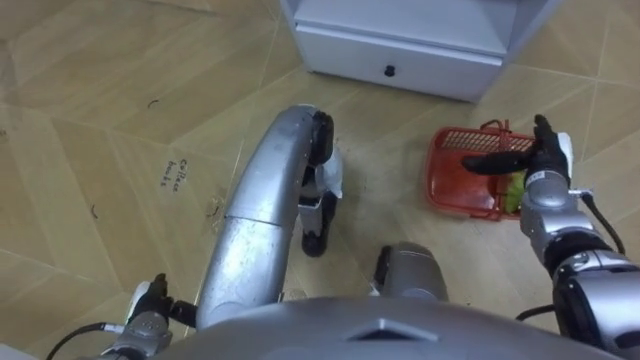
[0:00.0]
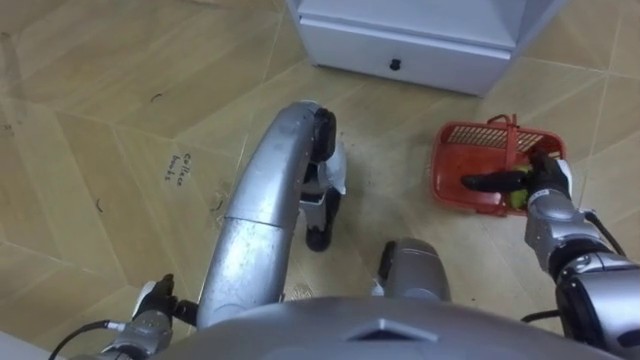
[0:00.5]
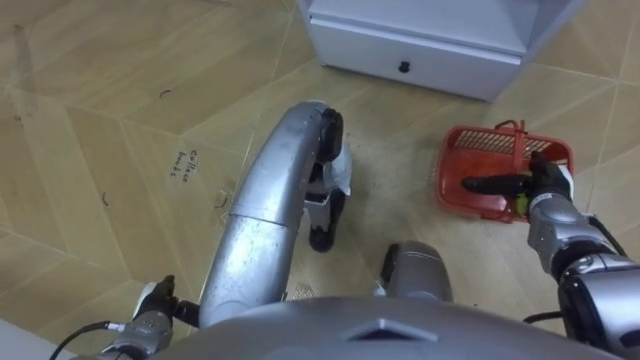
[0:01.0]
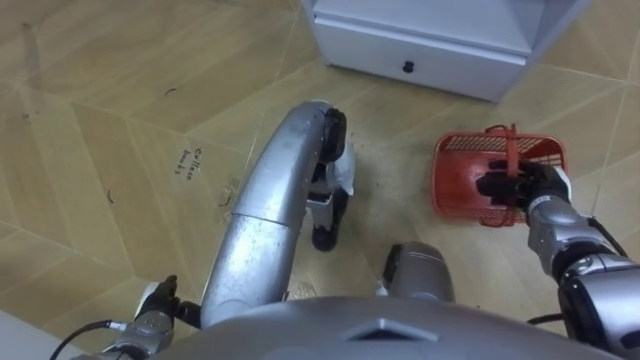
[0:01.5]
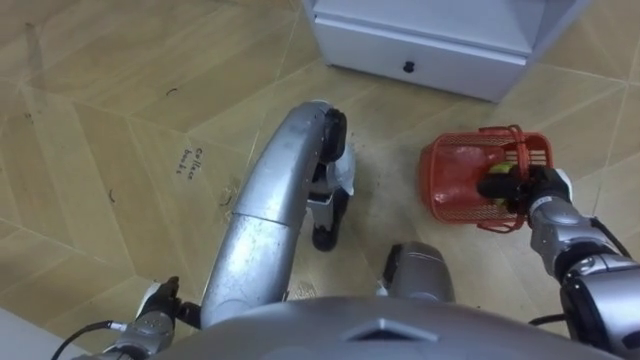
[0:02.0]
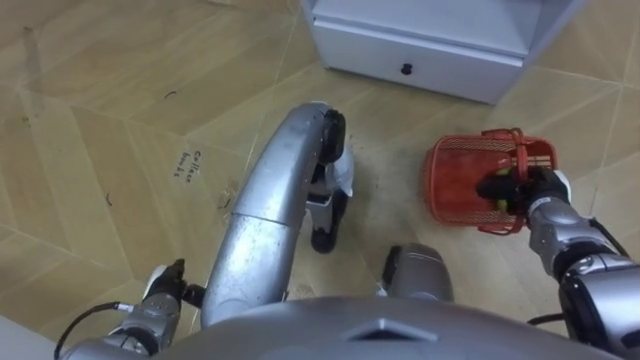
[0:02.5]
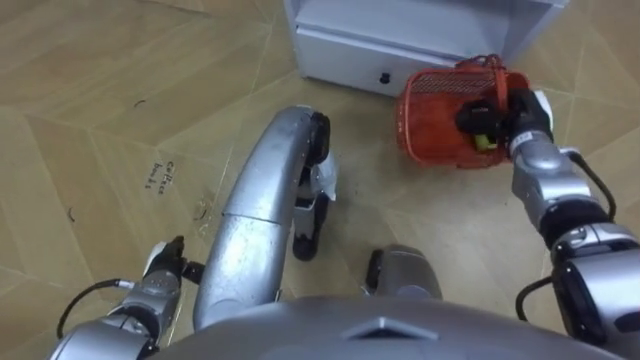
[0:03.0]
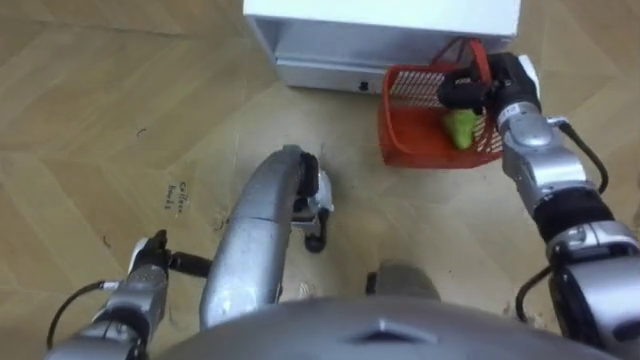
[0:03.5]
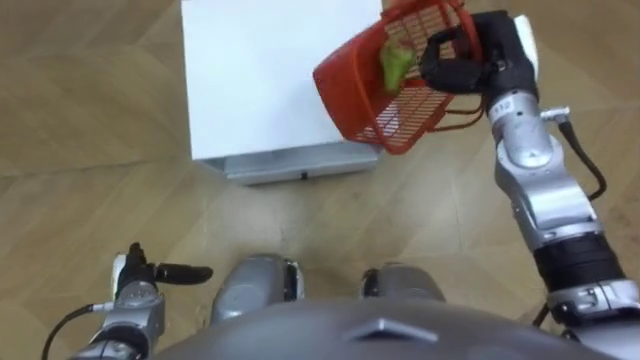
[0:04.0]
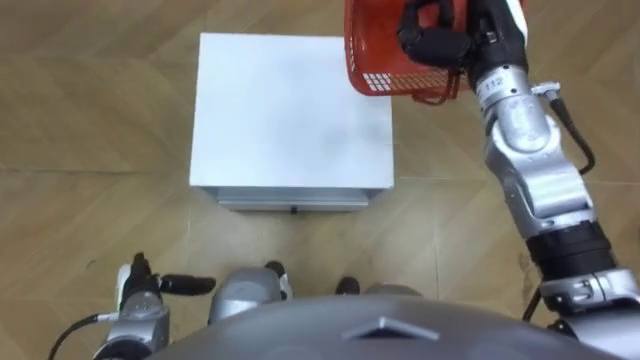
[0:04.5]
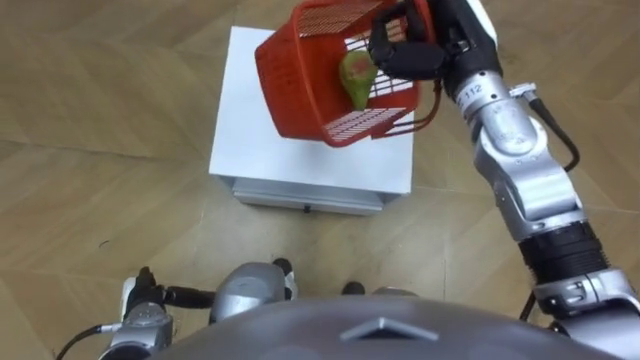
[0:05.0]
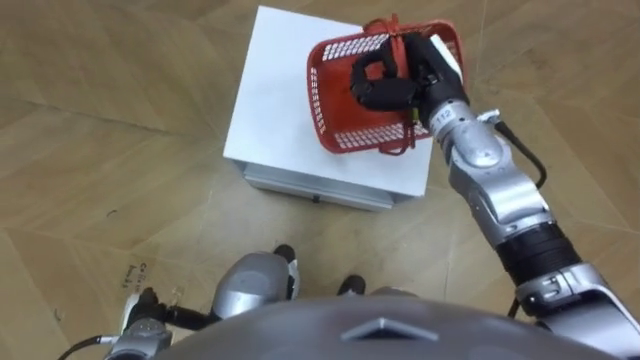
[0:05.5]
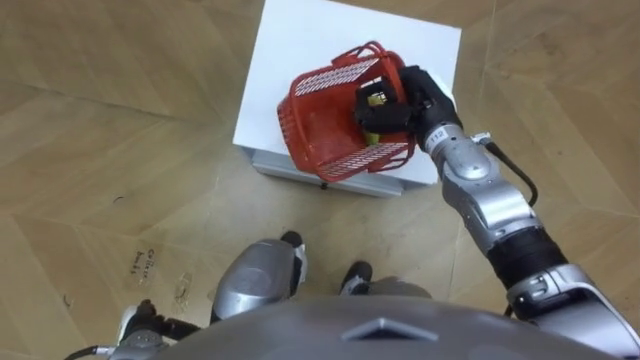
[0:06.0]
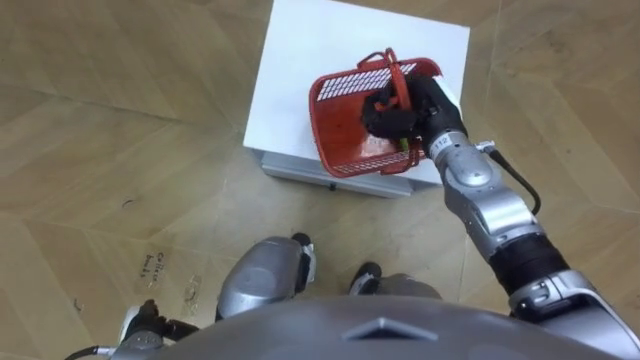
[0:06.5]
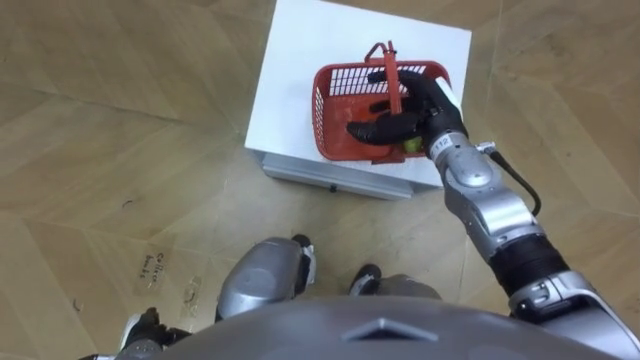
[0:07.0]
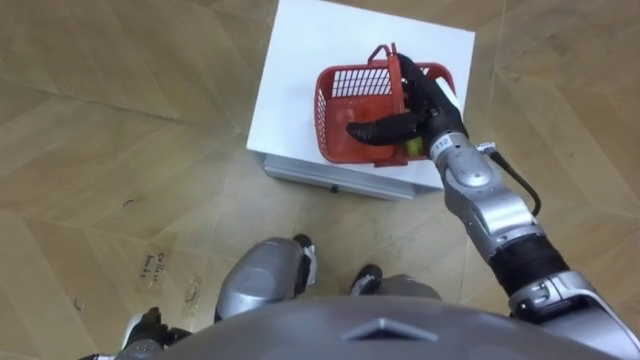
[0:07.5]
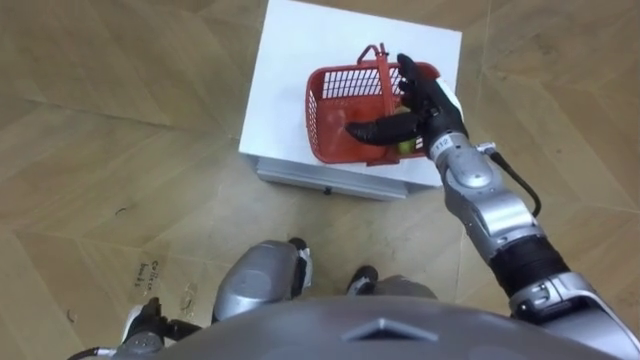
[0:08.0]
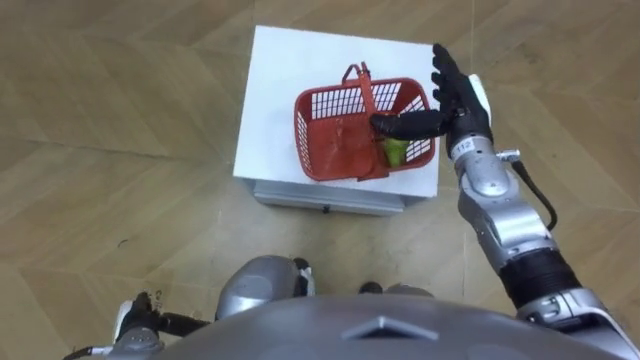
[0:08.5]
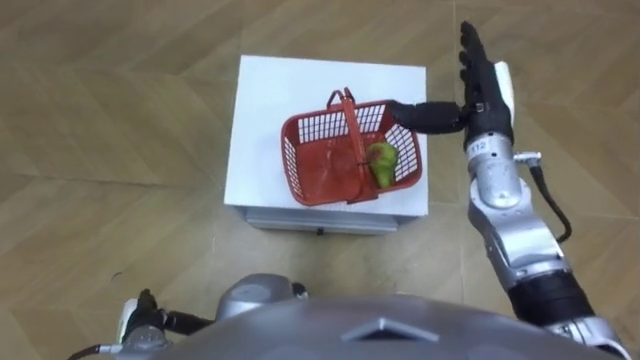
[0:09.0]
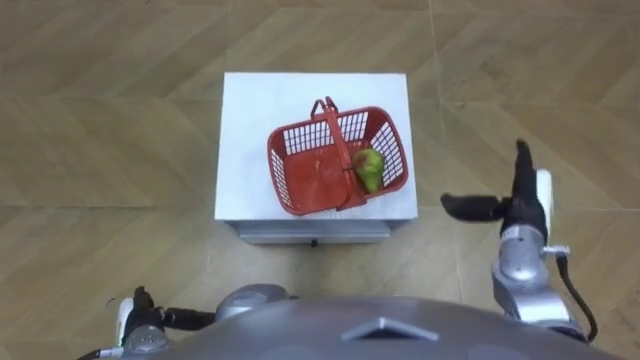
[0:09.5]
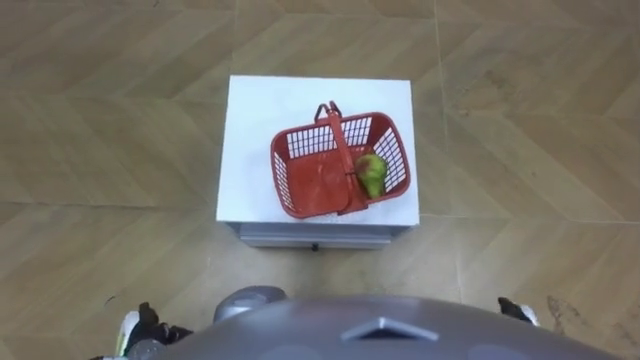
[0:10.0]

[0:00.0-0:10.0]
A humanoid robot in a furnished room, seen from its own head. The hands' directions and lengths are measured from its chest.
Task of the whole recording: Pick up the fruit basket from the floor and place it on the cabinet.
0:00.0 to 0:02.0: The right hand moves approximately 5 cm, and closes its fingers.
0:02.0 to 0:04.0: The robot's body swings roughly 20 degrees to its right. The right hand moves upward, forward and to the left, roughly 25 cm; the left hand moves about 5 cm.
0:04.0 to 0:06.0: The left hand travels backward by approximately 10 cm; the right hand heads to the left and downward, covering some 10 cm.
0:06.0 to 0:08.0: The right hand opens.
0:08.0 to 0:10.0: The right hand travels backward, downward and to the right by about 35 cm.

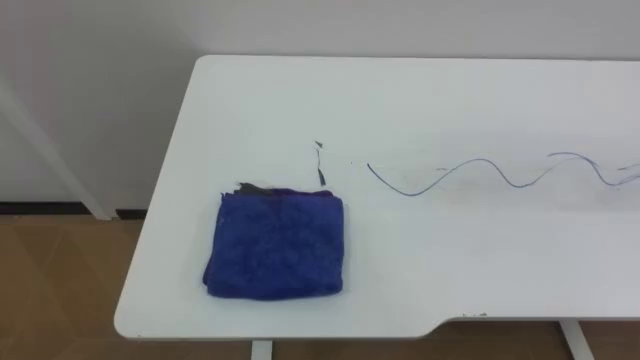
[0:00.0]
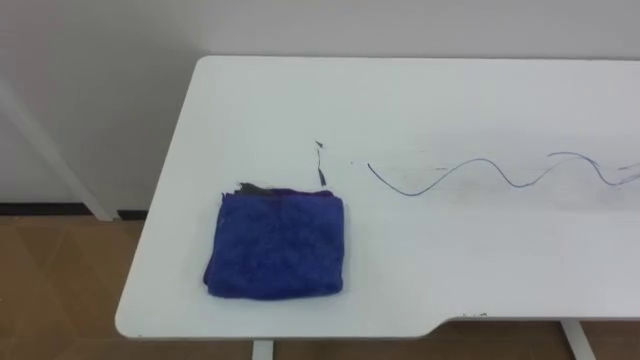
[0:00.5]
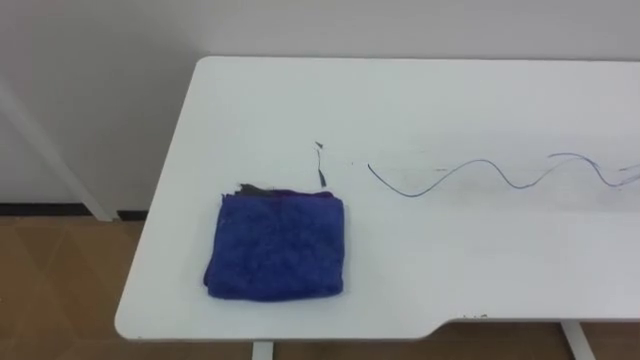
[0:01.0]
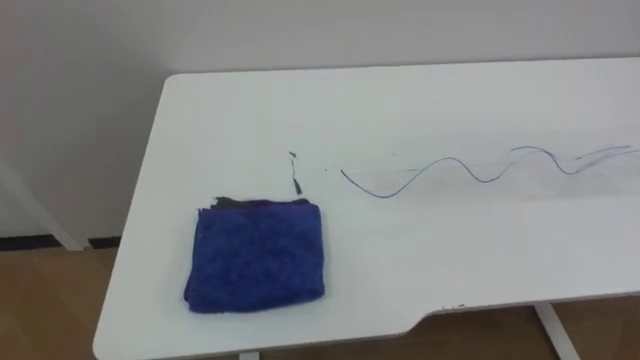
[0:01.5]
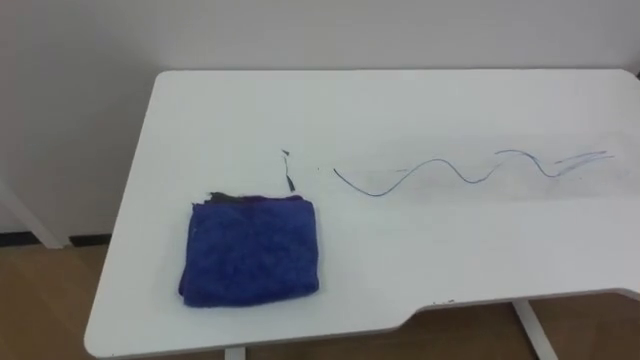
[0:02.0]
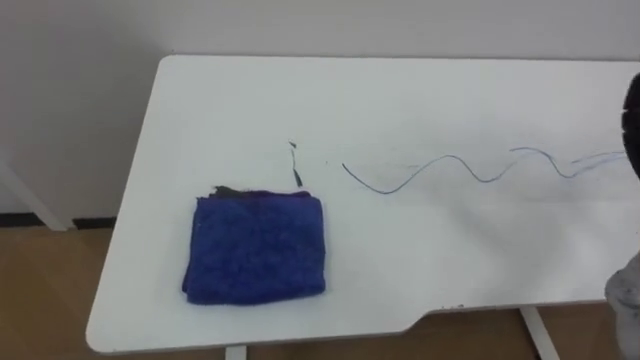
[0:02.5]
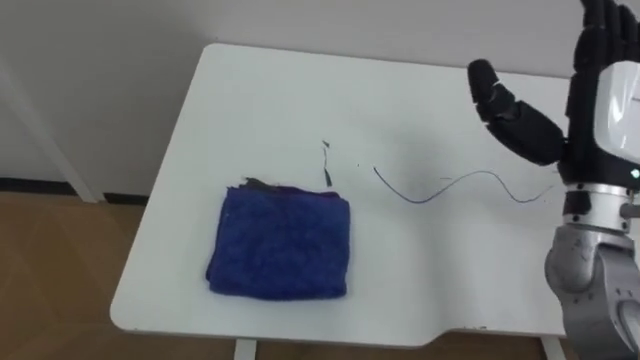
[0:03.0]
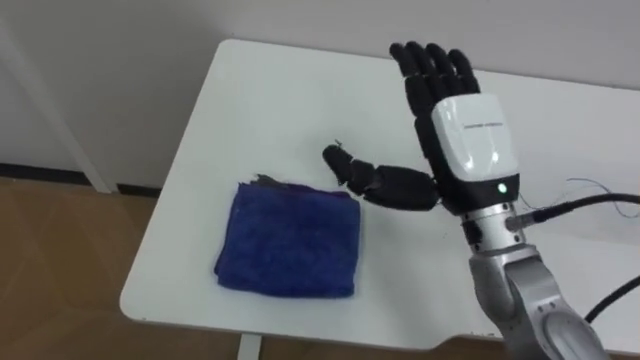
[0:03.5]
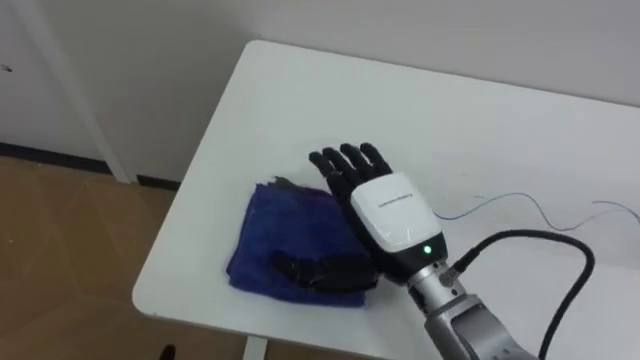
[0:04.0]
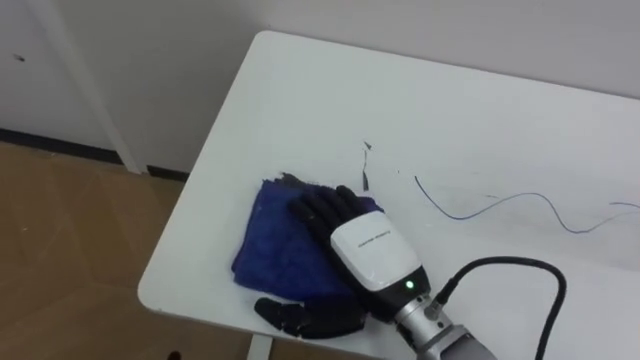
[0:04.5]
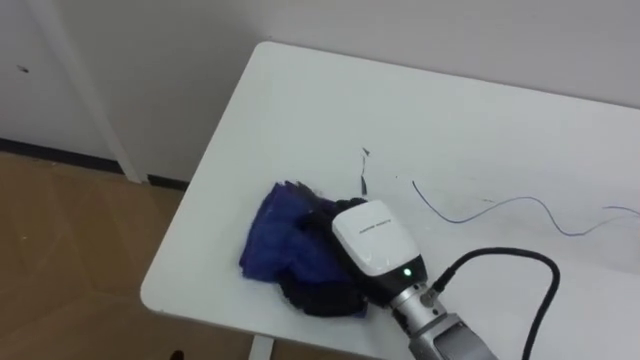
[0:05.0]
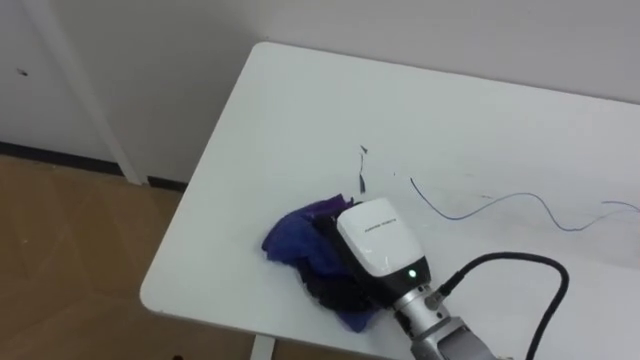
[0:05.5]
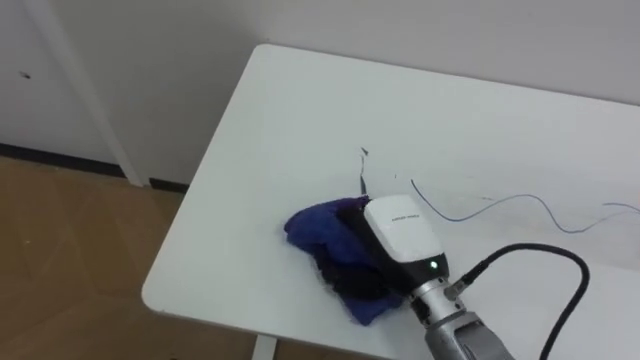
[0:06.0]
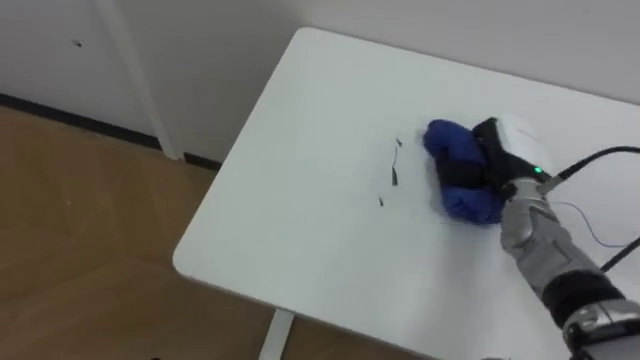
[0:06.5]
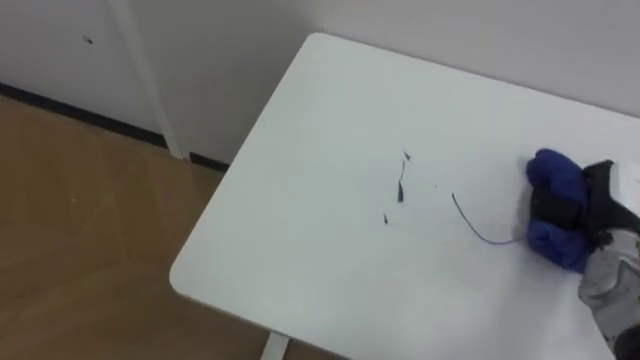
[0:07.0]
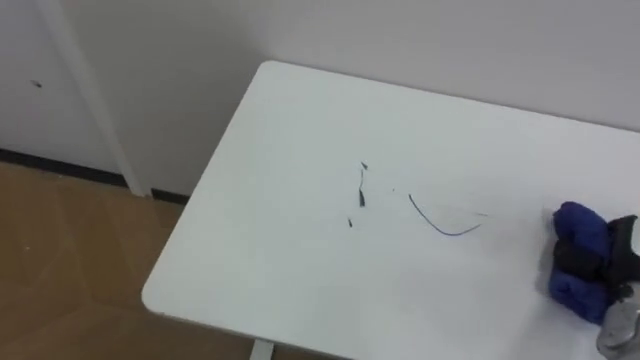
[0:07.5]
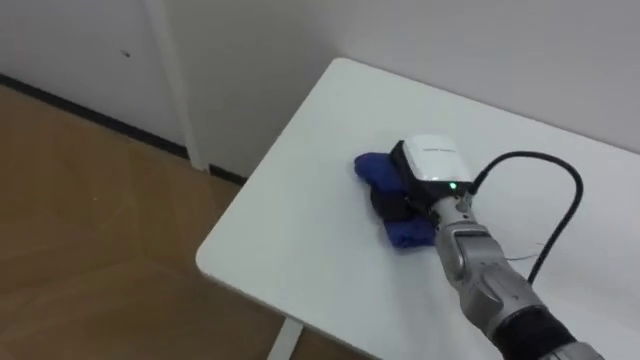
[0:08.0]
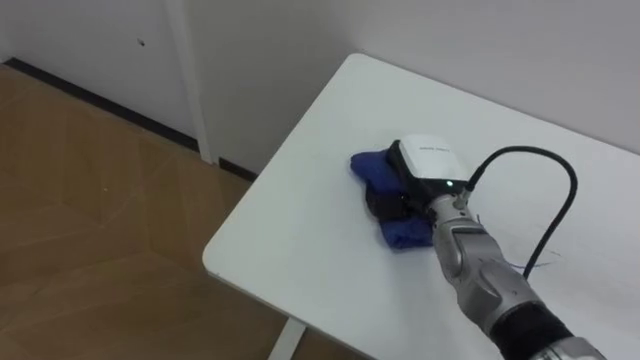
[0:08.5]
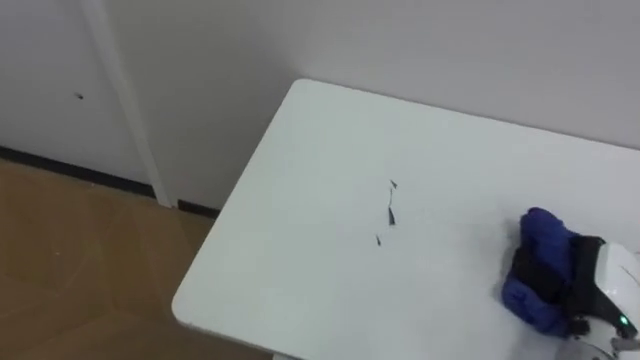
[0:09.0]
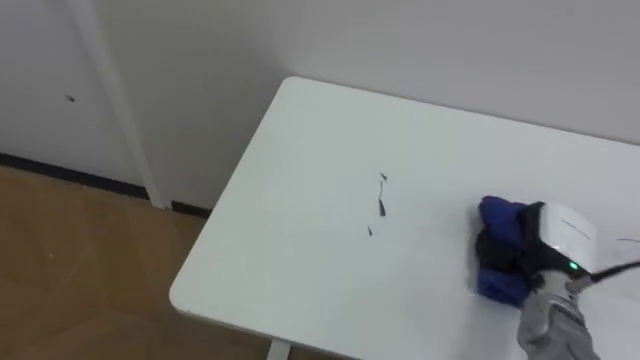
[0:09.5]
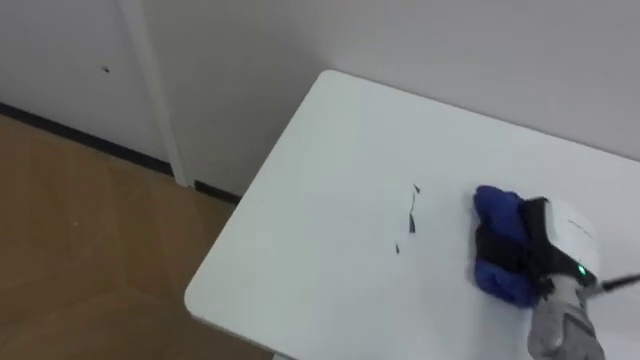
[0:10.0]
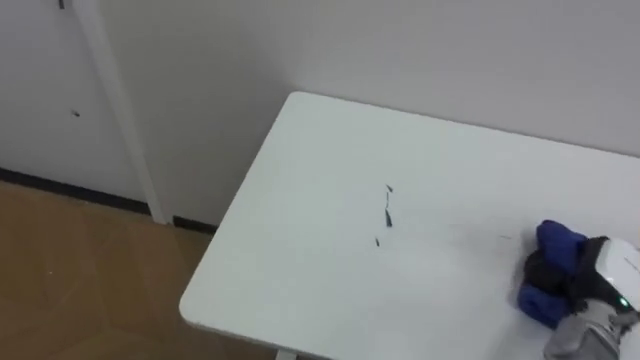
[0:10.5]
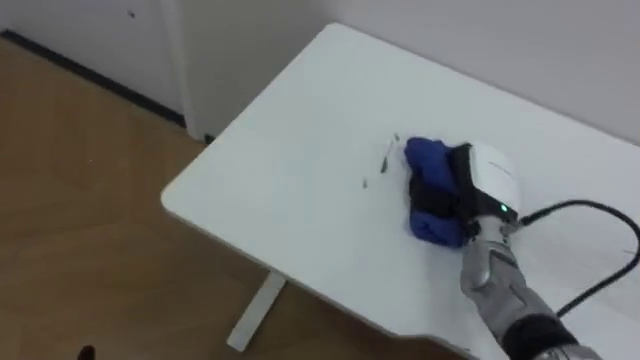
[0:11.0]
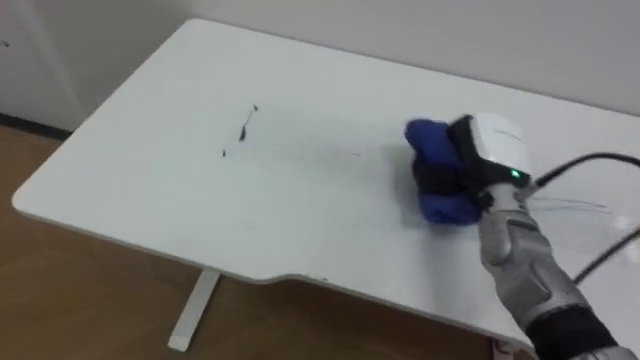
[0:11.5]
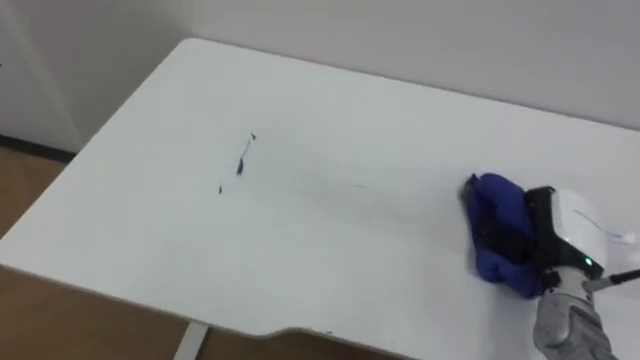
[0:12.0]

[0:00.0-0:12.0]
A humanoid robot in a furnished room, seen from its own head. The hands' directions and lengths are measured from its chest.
Task of the whole recording: Wipe the blue pen marks off the table with the rag.
0:04.0 to 0:06.0: The right hand closes.
0:06.0 to 0:08.0: The right hand goes about 10 cm forward, and moves approximately 30 cm to the right and comes back.
0:08.0 to 0:10.0: The right hand is displaced to the right and backward by roughly 20 cm.
0:10.0 to 0:12.0: The right hand goes left and right, roughly 15 cm each way, reversing 2 times.
